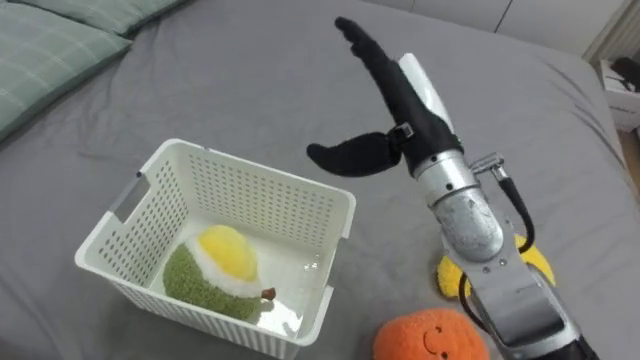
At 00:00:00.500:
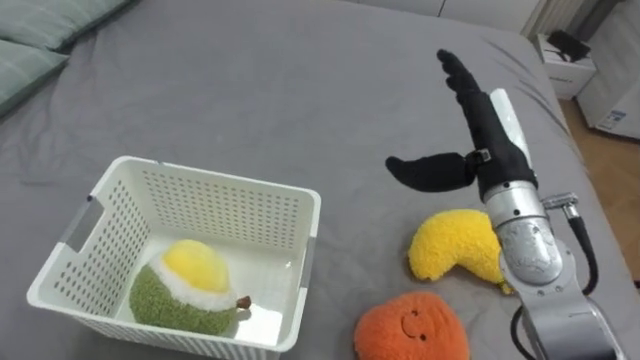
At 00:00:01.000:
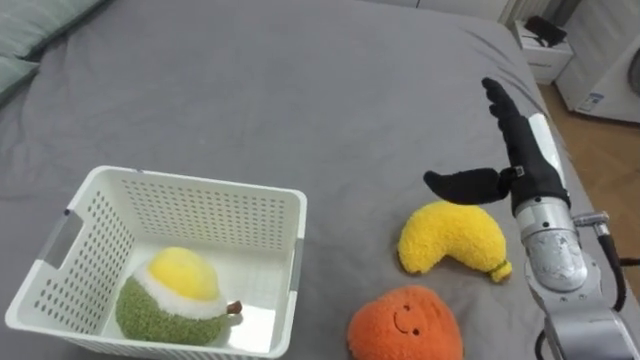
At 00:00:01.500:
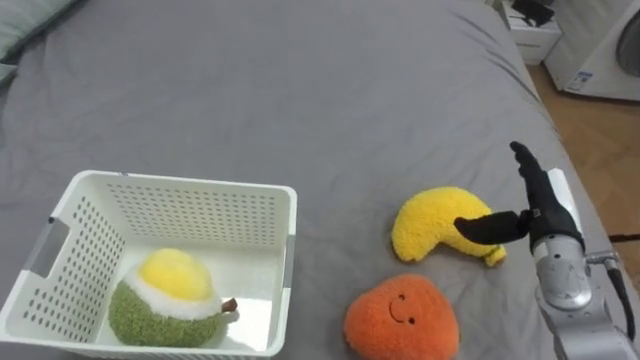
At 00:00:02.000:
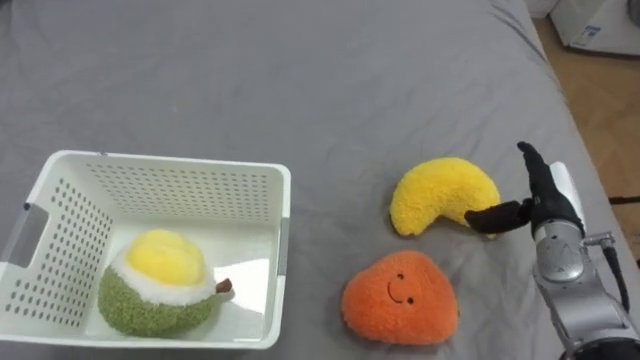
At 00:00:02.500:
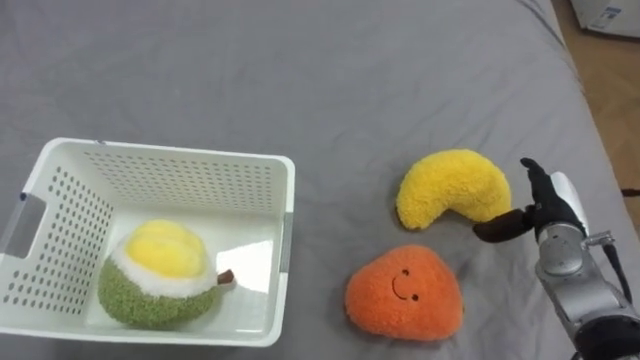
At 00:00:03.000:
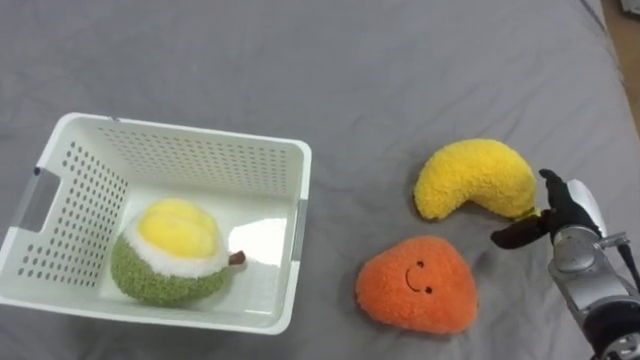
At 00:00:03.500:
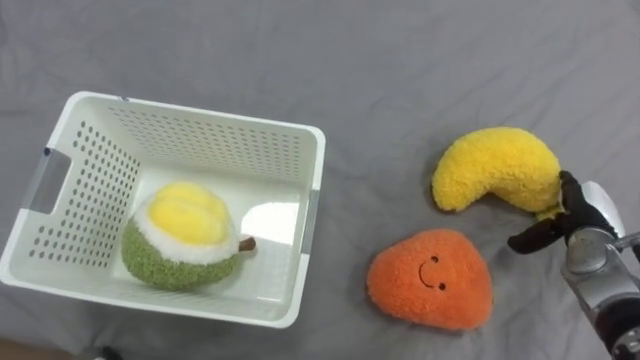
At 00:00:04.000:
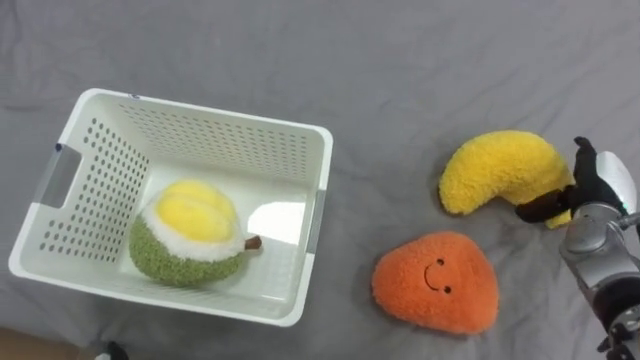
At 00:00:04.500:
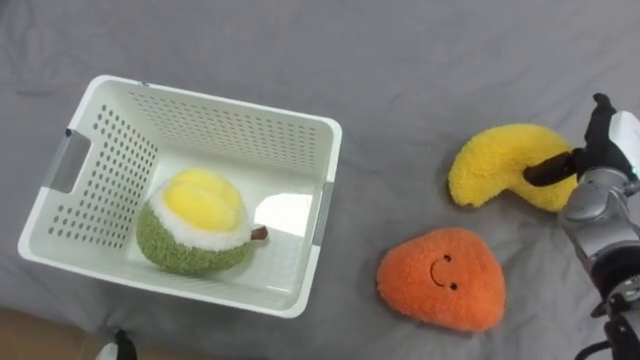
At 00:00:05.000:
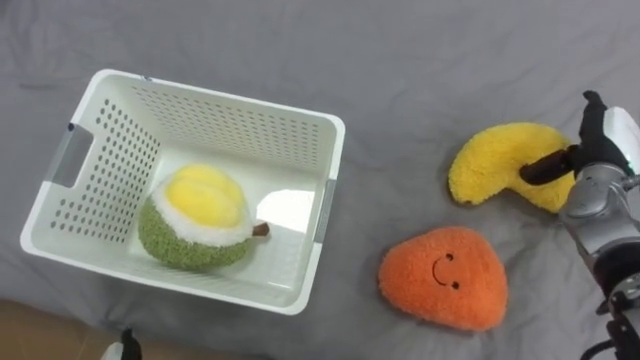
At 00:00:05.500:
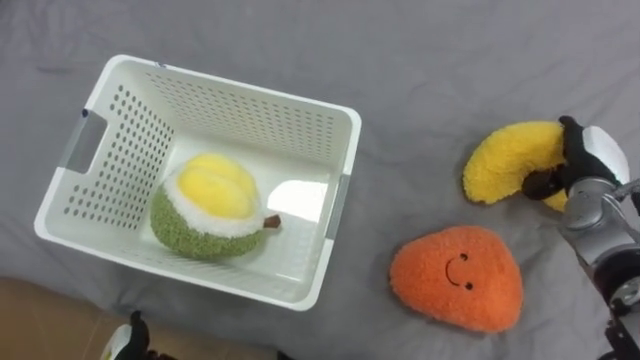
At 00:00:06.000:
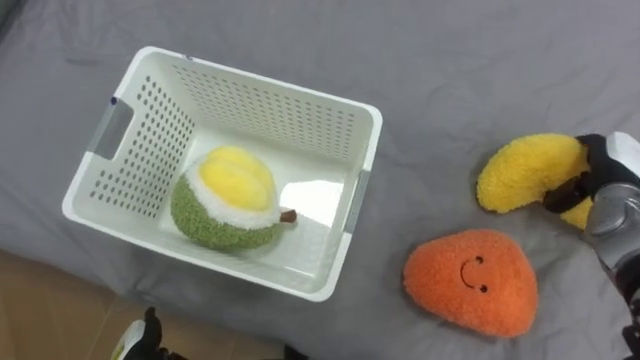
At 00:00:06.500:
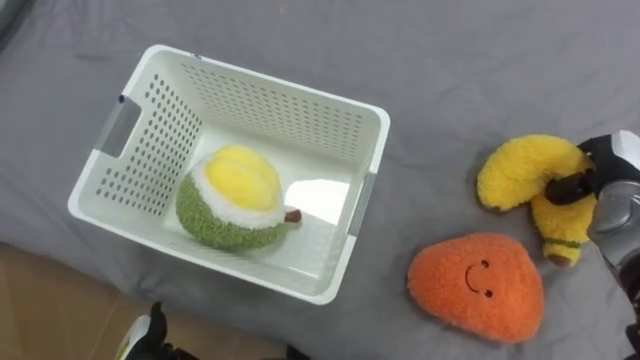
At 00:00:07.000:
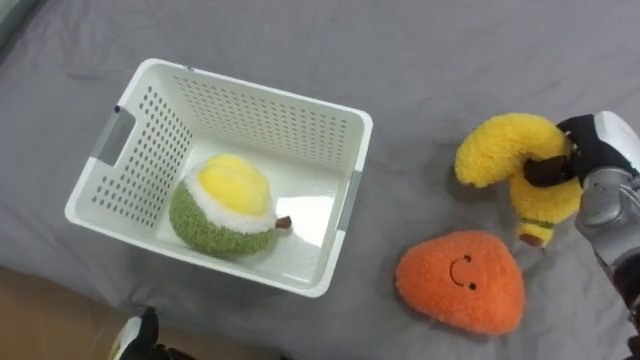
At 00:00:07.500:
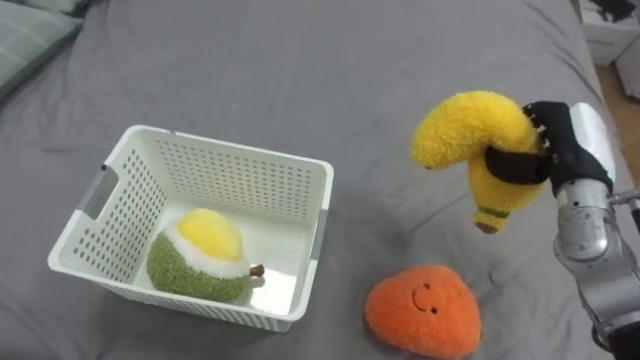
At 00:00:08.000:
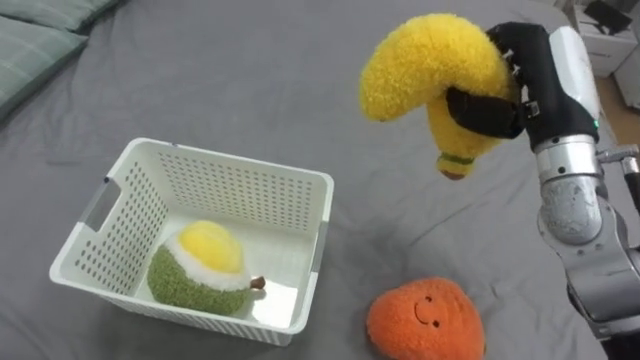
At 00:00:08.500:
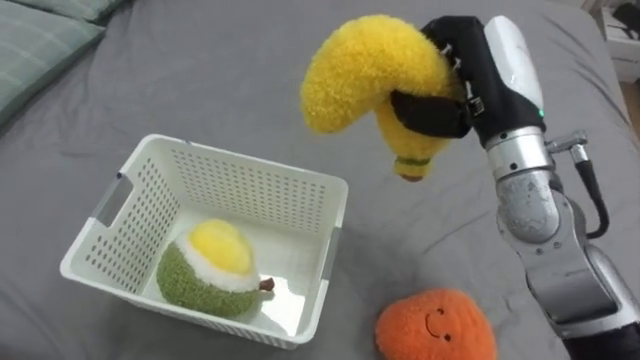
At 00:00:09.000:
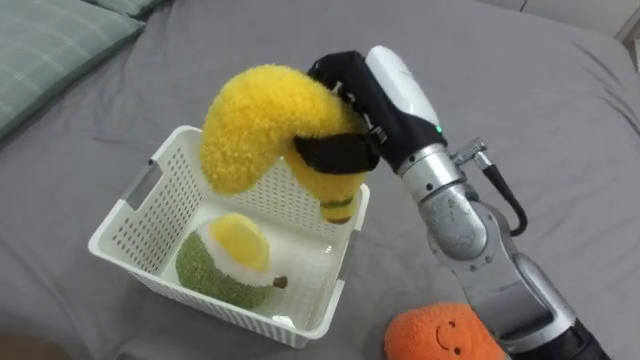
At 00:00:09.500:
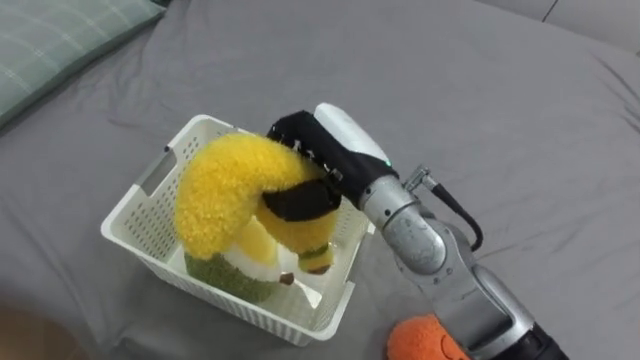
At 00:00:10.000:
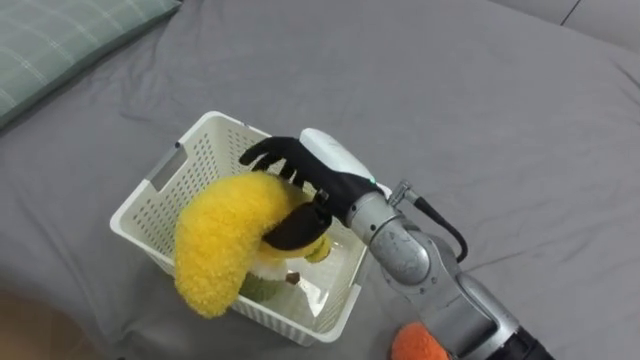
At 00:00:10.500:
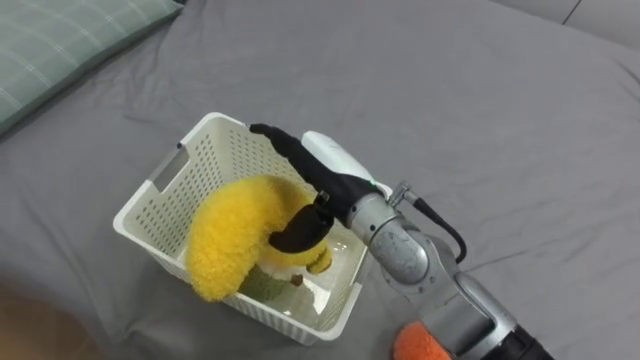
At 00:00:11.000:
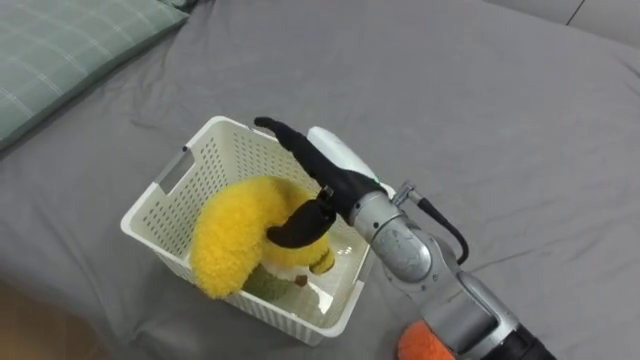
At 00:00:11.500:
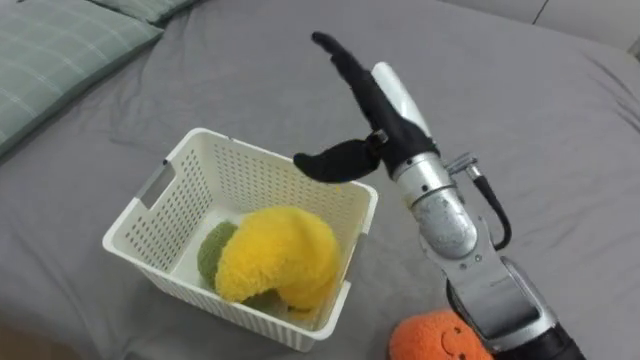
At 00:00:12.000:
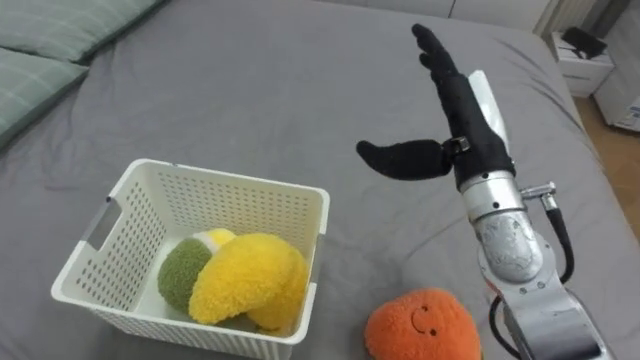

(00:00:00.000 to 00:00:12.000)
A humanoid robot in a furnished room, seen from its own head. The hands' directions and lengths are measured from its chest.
Task of the whole recording: Put the toys on the bed into the basket on the left.
00:00:00.000 - 00:00:02.000: The right hand is displaced to the right and downward by roughly 25 cm.
00:00:02.000 - 00:00:04.000: The right hand moves to the right, approximately 5 cm.
00:00:06.000 - 00:00:08.000: The right hand goes some 20 cm upward and to the left, and closes its fingers.
00:00:08.000 - 00:00:10.000: The right hand shifts approximately 25 cm to the left, and opens up.
00:00:10.000 - 00:00:12.000: The right hand is displaced to the right by some 15 cm, and opens its fingers.

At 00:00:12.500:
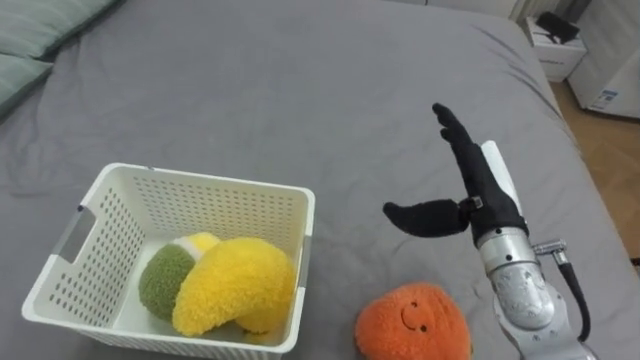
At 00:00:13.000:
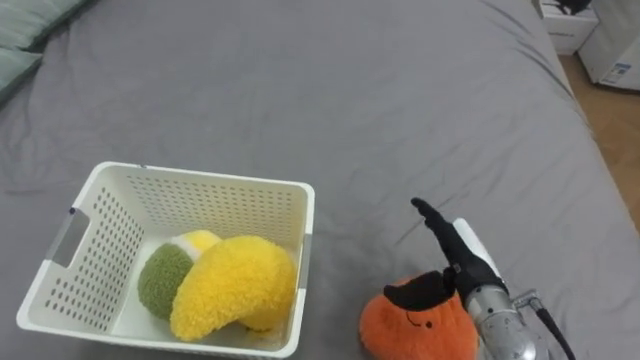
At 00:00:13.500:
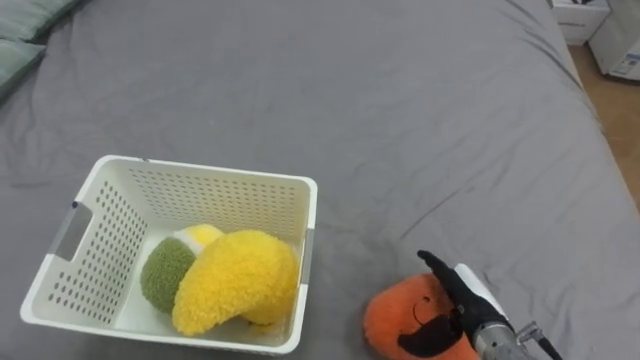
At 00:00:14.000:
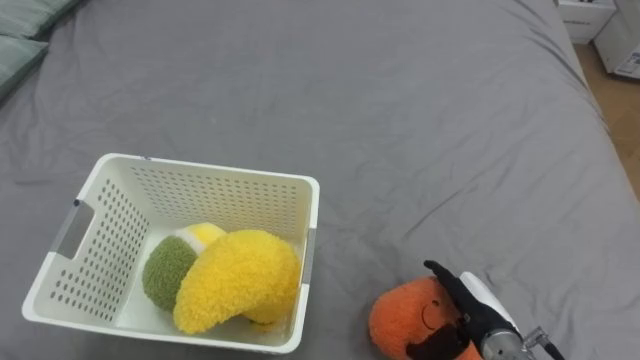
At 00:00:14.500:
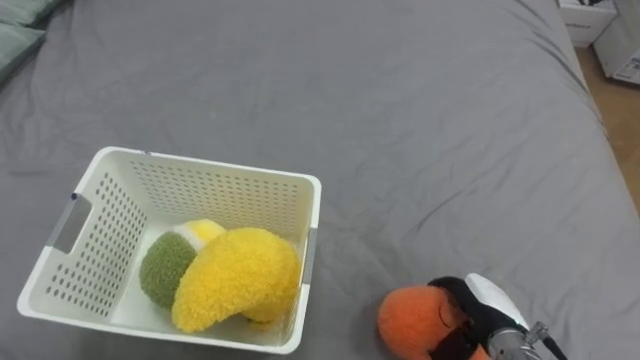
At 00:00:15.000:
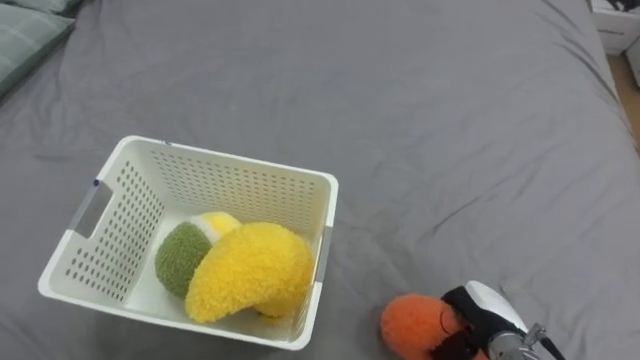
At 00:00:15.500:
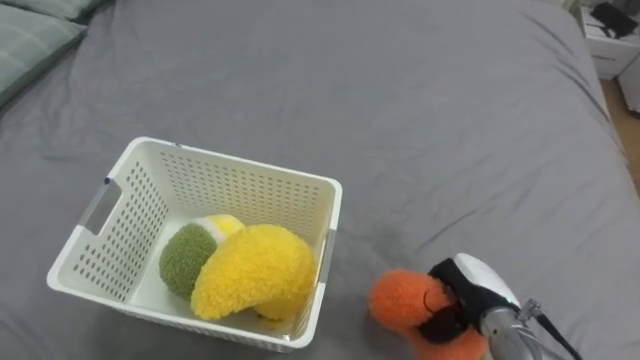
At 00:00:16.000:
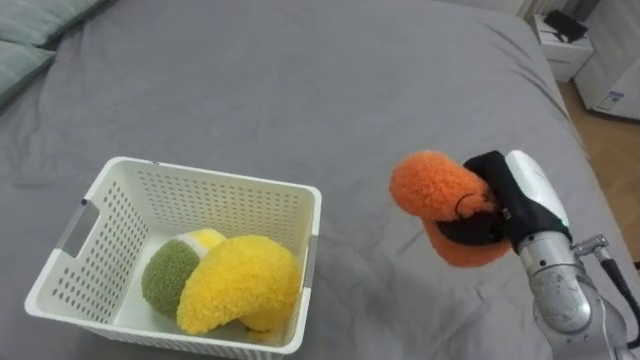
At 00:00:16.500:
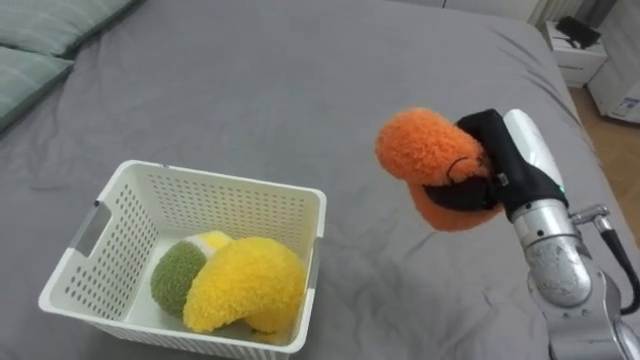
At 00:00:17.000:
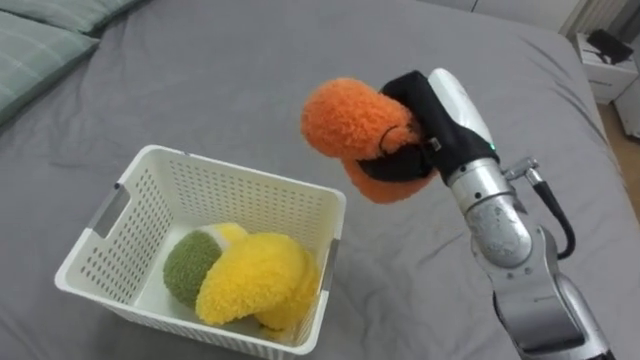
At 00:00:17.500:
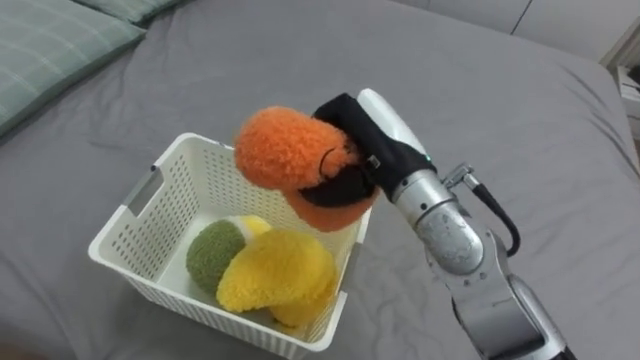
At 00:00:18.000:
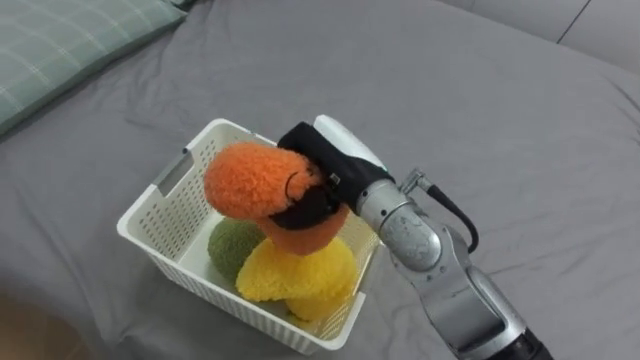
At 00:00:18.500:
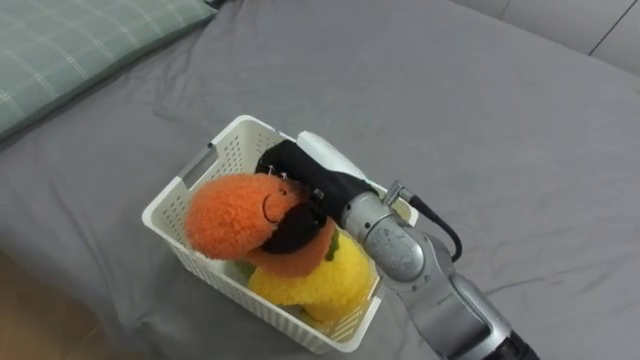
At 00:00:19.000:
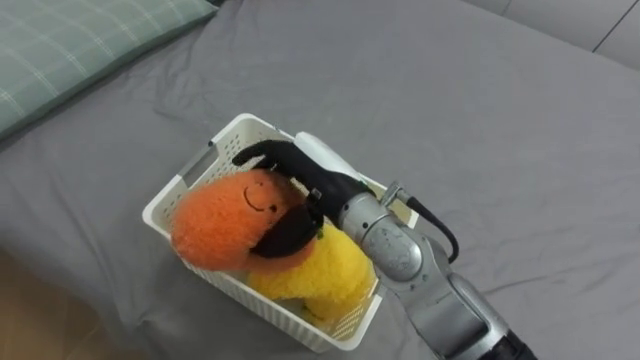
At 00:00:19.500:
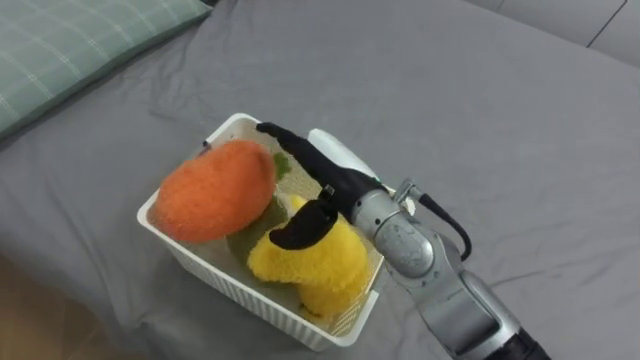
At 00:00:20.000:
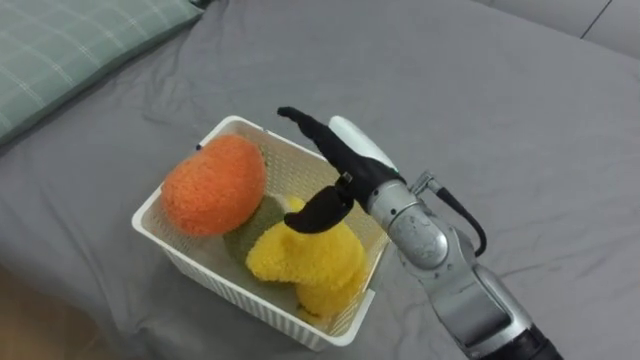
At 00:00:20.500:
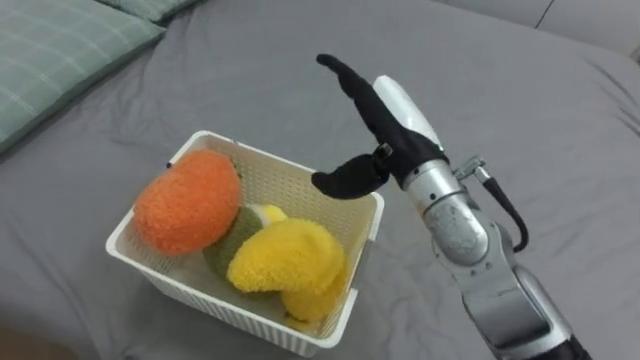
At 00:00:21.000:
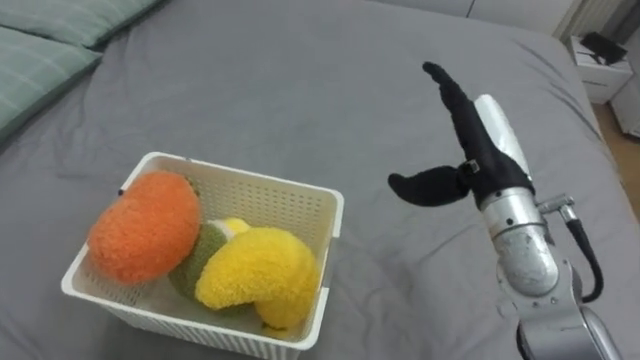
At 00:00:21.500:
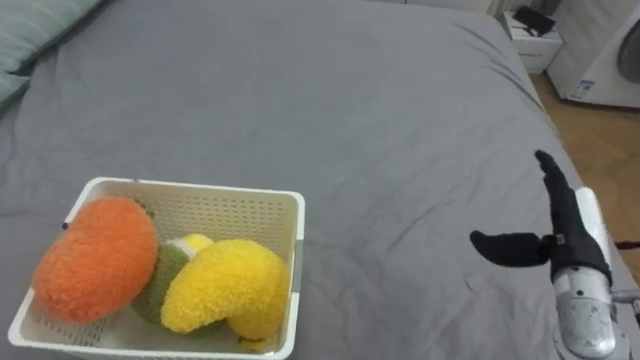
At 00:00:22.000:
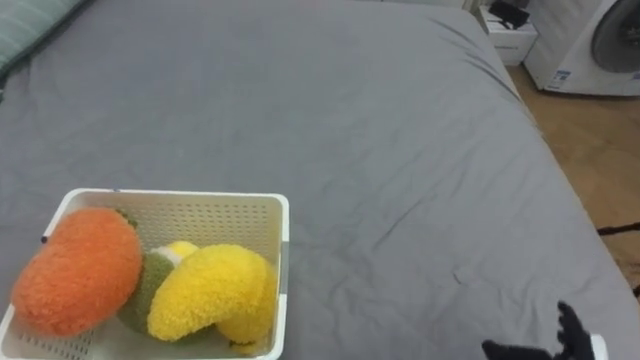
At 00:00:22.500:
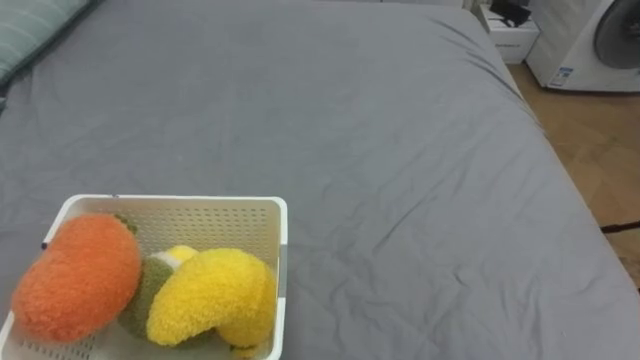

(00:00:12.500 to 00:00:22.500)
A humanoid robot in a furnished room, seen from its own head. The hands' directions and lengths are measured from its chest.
Task of the whole recording: Put the toys on the bed into the basket on the left.
00:00:12.500 - 00:00:14.500: The right hand moves downward and backward, about 20 cm.
00:00:14.500 - 00:00:16.500: The right hand heads upward and forward, covering some 25 cm, and closes its fingers.
00:00:16.500 - 00:00:18.500: The right hand moves to the left, roughly 20 cm.
00:00:18.500 - 00:00:20.500: The right hand is displaced to the right by some 10 cm, and opens its fingers.
